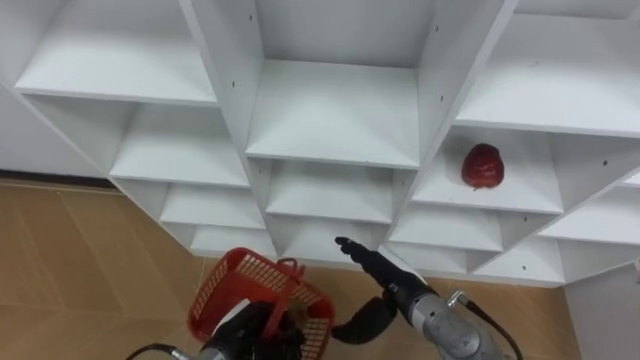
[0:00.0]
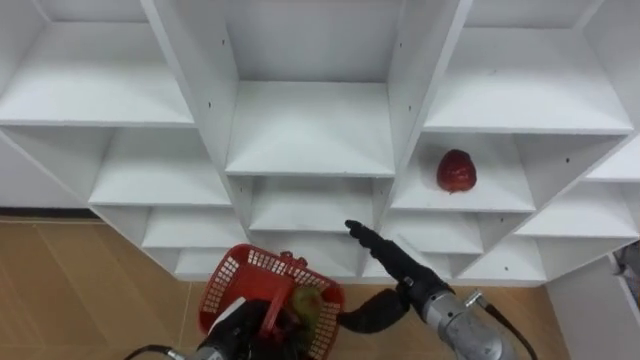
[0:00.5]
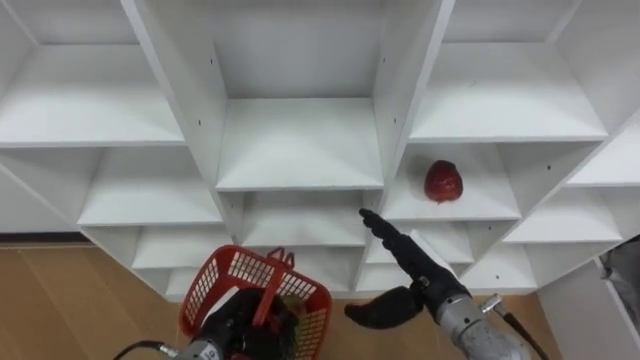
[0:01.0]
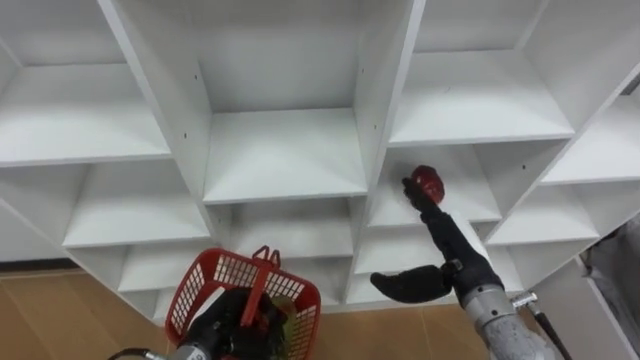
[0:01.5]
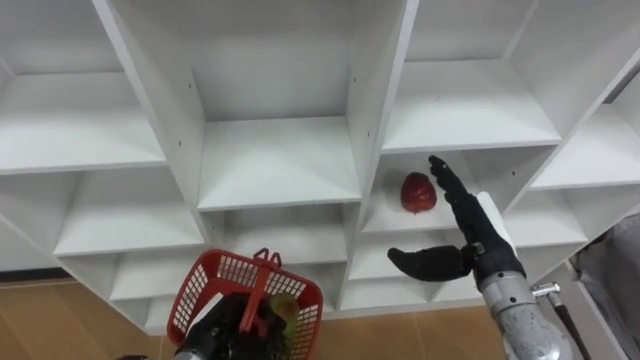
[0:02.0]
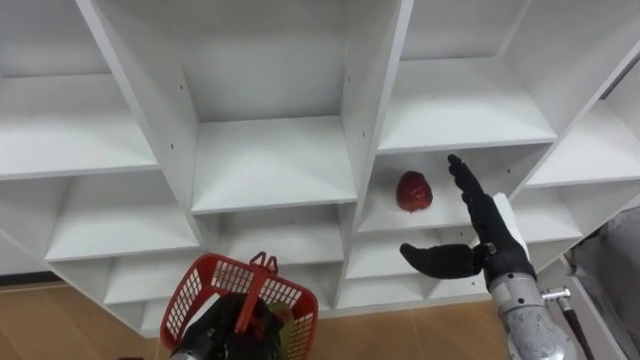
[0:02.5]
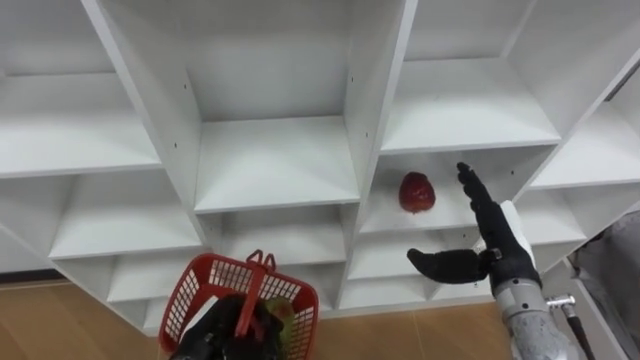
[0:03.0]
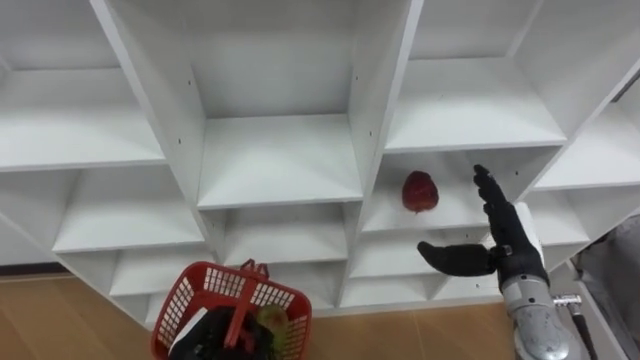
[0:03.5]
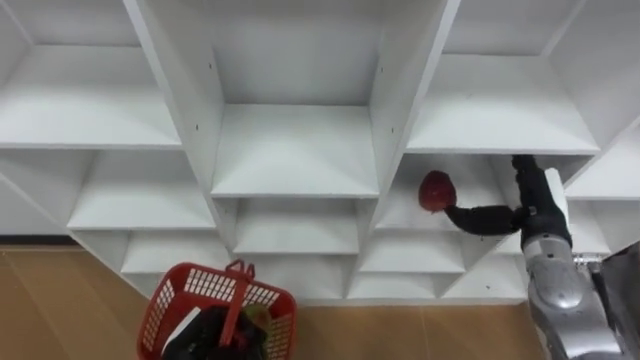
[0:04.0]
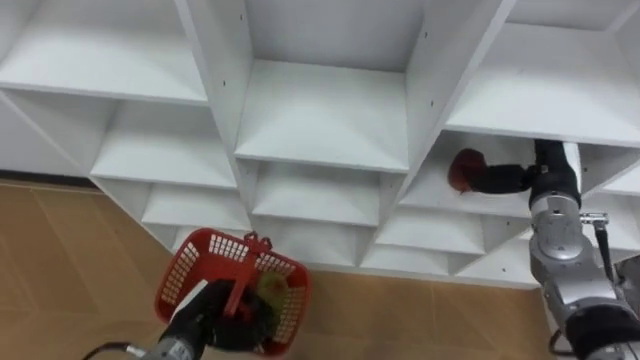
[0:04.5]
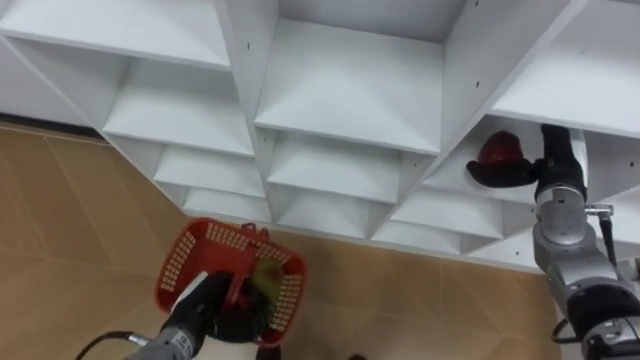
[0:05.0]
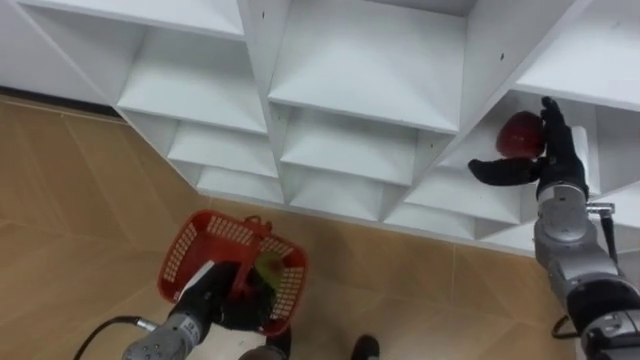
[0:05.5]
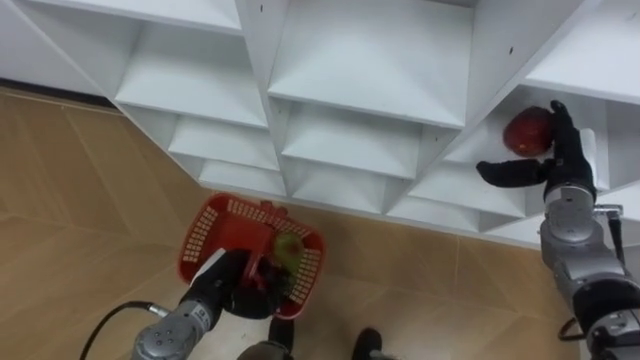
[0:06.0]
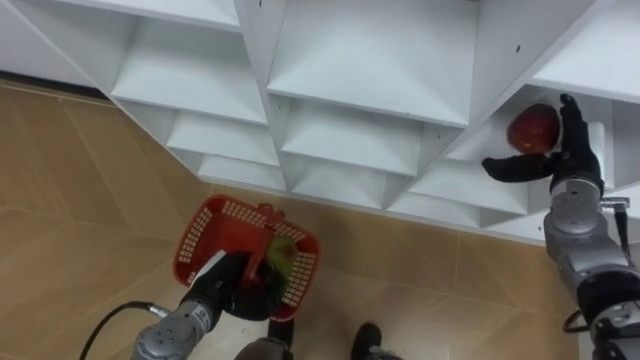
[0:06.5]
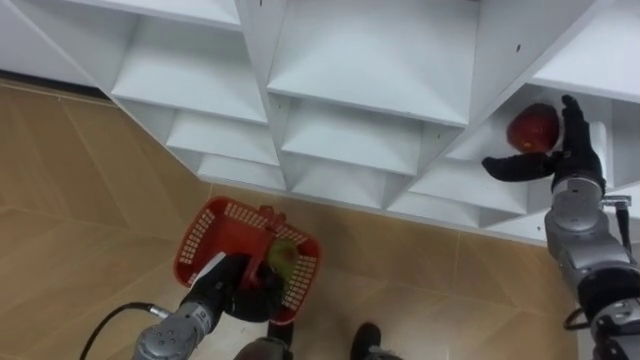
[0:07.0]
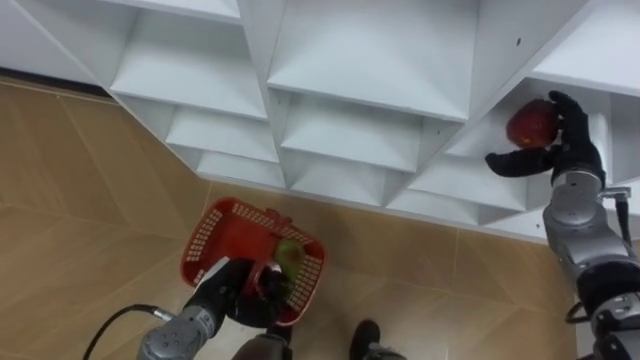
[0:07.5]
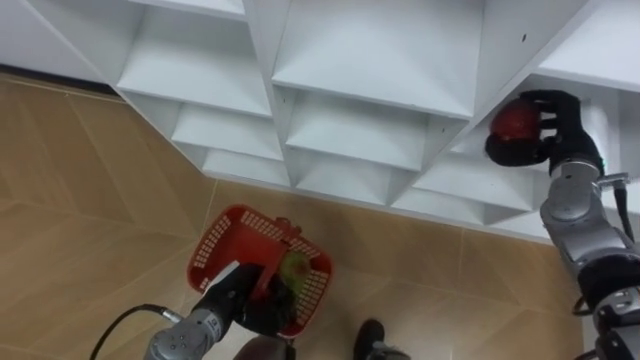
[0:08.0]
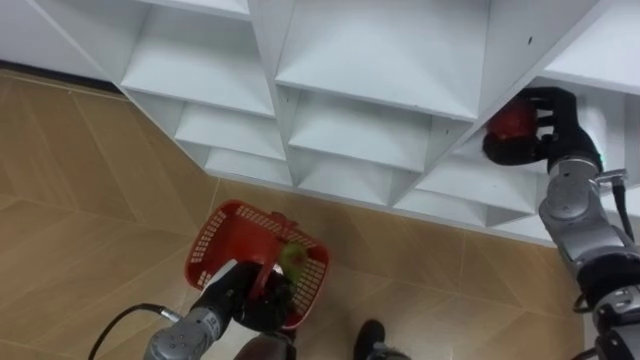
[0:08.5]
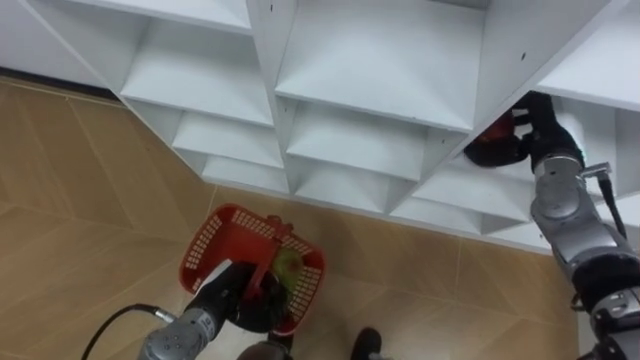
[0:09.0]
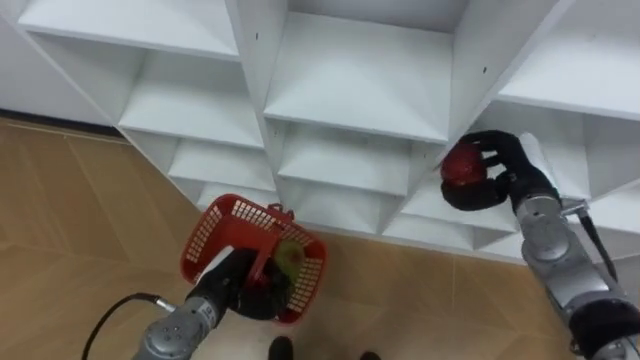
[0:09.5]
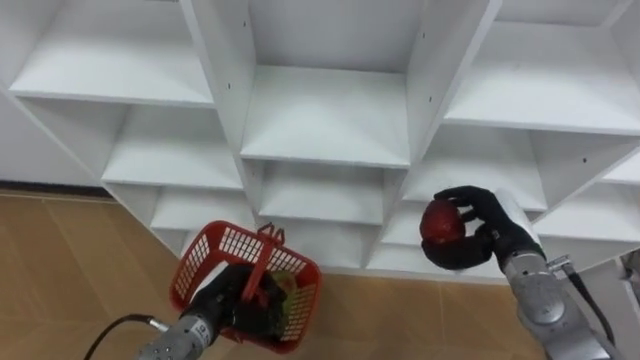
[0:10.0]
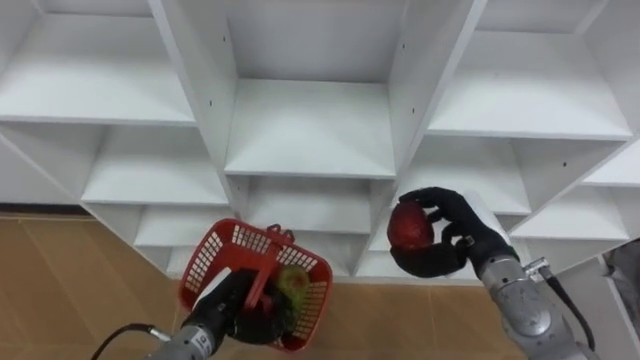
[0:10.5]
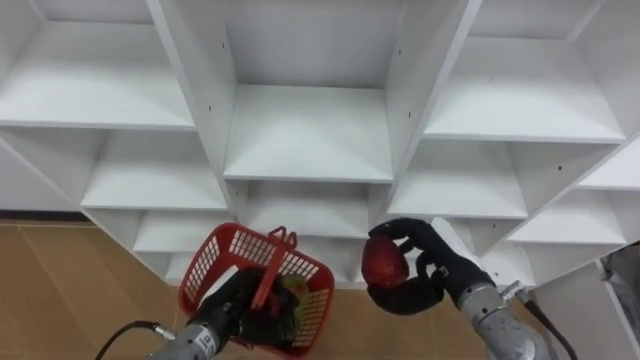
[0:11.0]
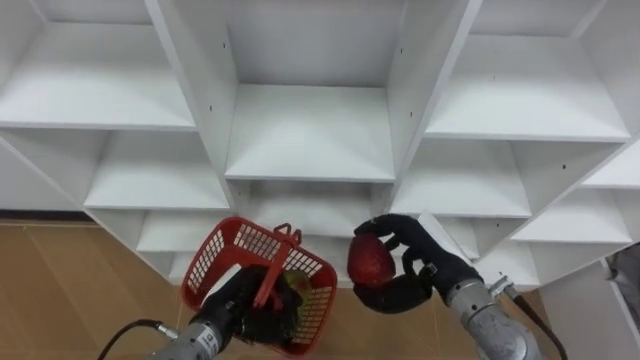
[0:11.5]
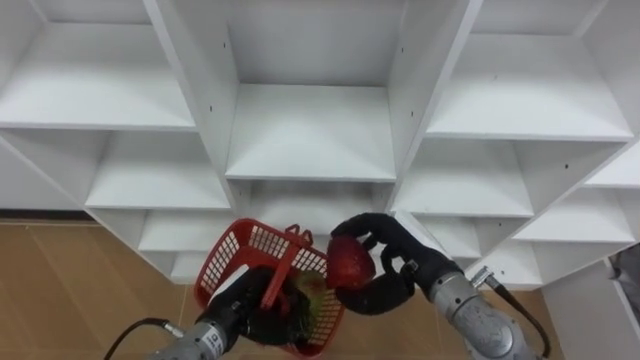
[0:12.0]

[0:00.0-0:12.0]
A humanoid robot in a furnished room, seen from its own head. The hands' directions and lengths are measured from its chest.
Task of the whole recording: Hold the basket and collect the fruits from 3 different cells of the closet into it.
0:00.0 to 0:02.0: The right hand travels to the right and upward by approximately 15 cm.
0:02.0 to 0:04.0: The right hand shifts about 10 cm to the right.
0:04.0 to 0:06.0: The hands both shift forward by about 5 cm.
0:06.0 to 0:08.0: The right hand closes its fingers.
0:08.0 to 0:10.0: The right hand travels downward, backward and to the left by some 15 cm.
0:10.0 to 0:12.0: The right hand moves to the left, roughly 10 cm.

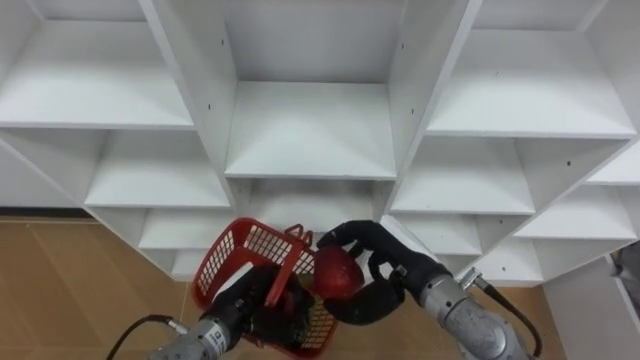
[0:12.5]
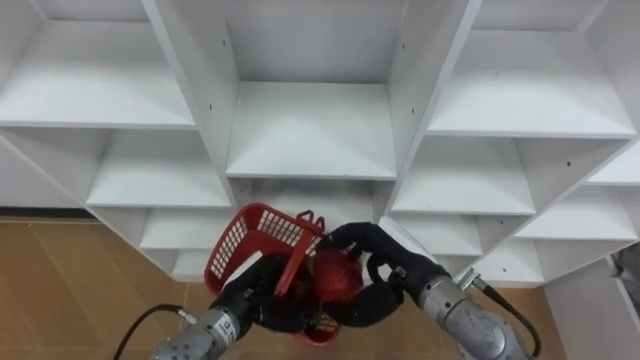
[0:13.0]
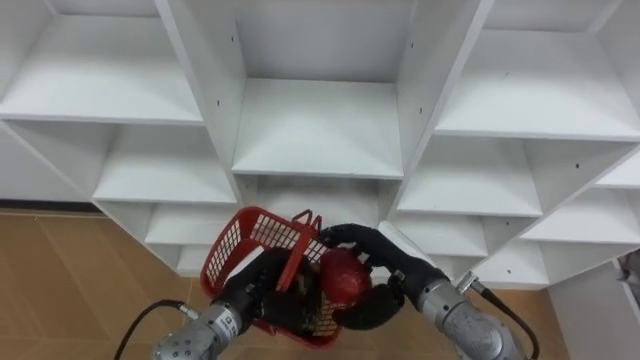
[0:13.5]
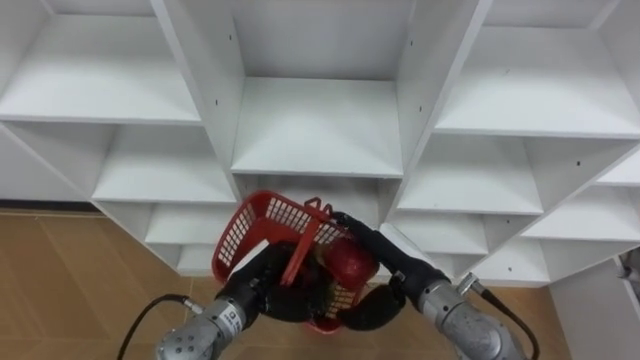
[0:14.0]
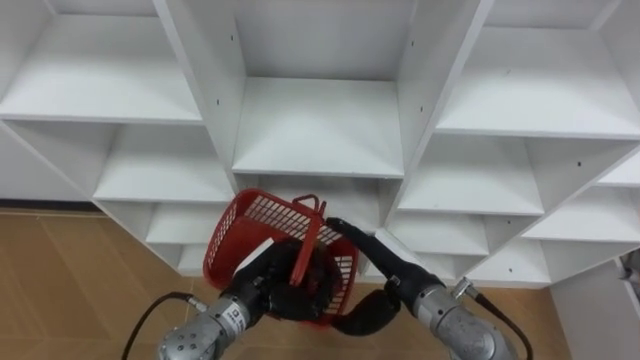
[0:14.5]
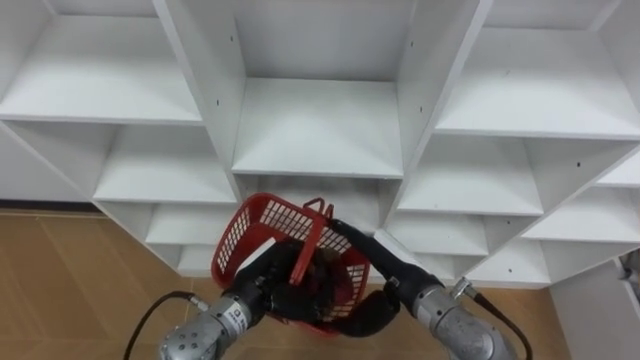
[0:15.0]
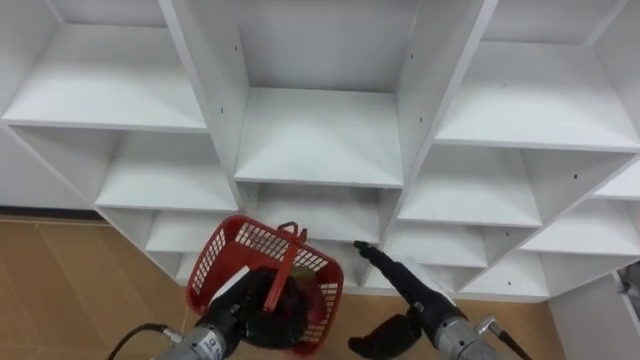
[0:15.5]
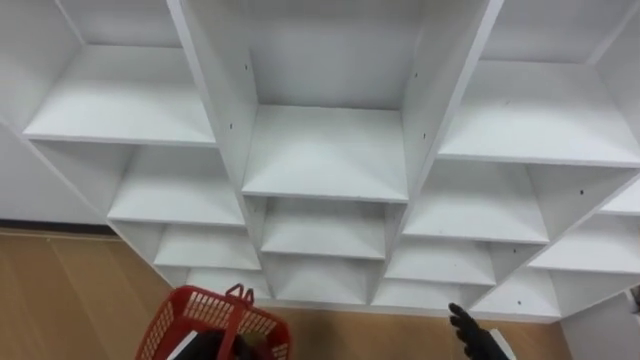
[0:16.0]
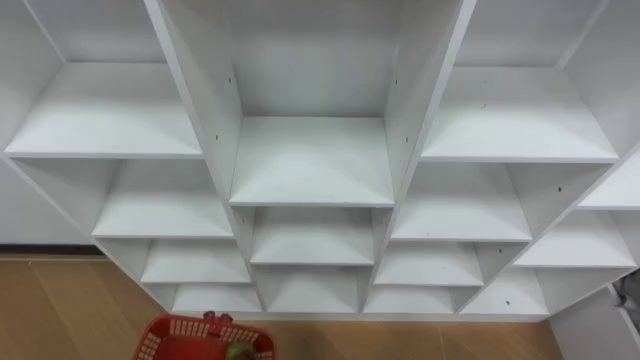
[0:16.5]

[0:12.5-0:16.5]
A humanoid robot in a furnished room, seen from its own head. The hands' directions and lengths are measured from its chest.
Task of the whole recording: Hold the basket and collect the fruits from 3 different cells of the closet into it.
0:12.5 to 0:14.5: The left hand ends up approximately 5 cm from where it was; the right hand opens up.

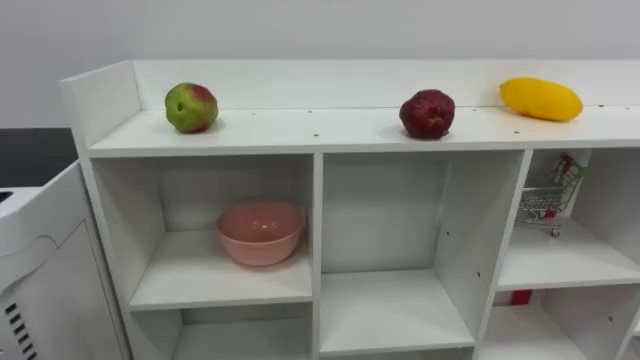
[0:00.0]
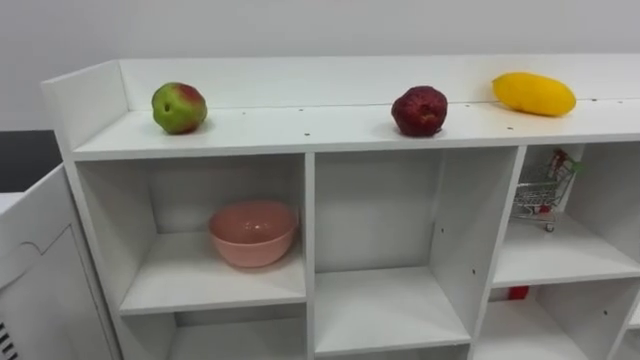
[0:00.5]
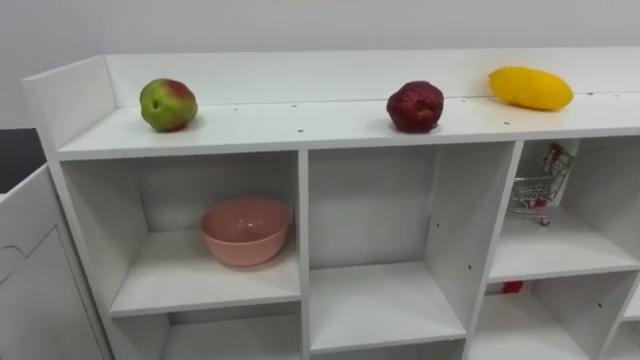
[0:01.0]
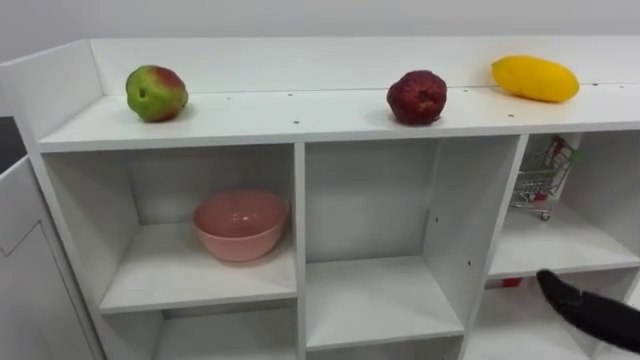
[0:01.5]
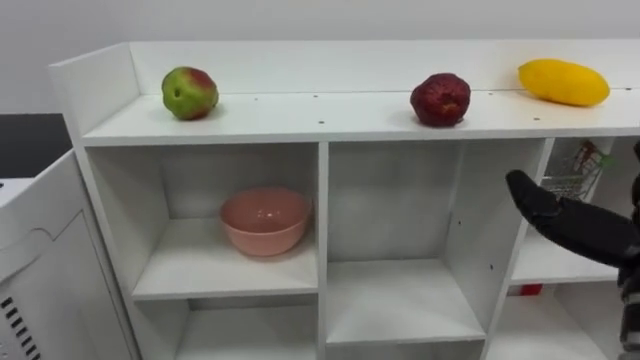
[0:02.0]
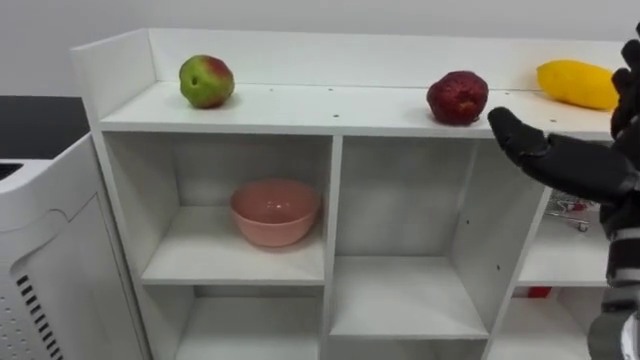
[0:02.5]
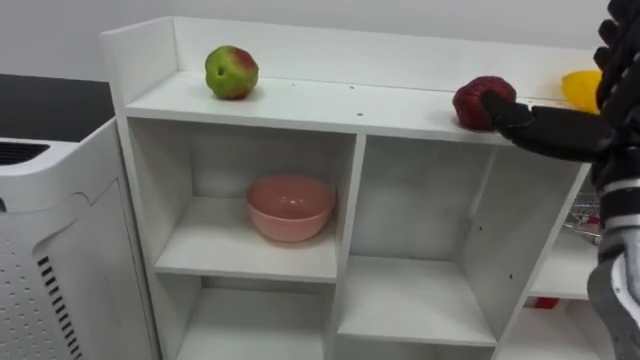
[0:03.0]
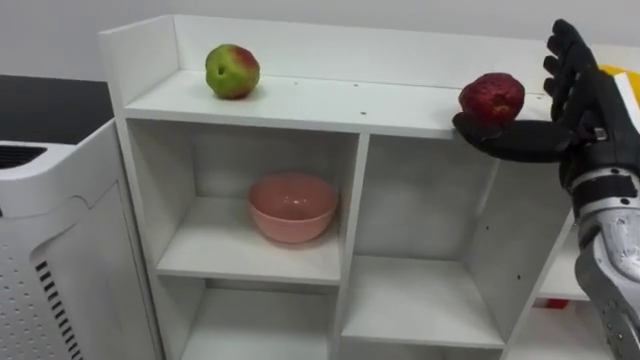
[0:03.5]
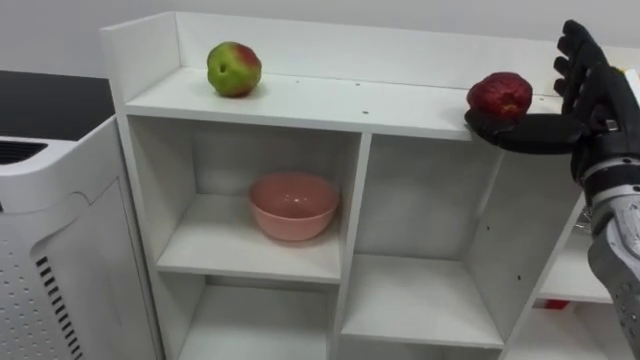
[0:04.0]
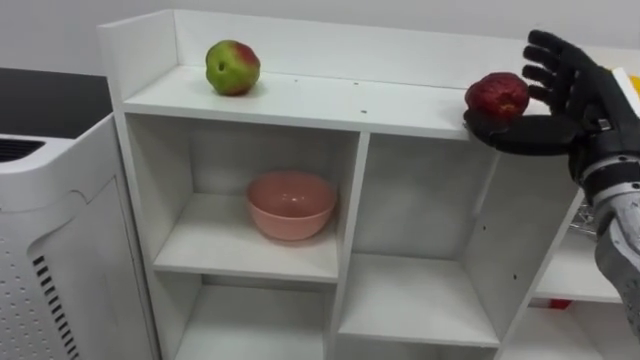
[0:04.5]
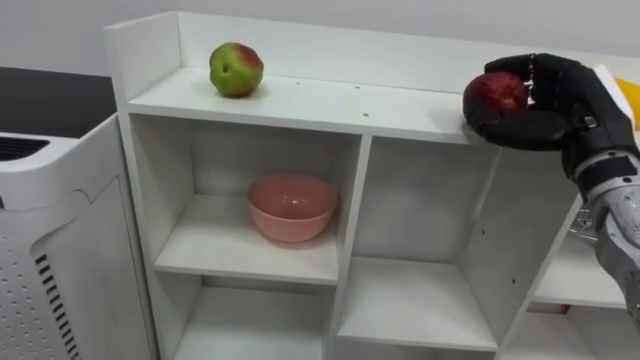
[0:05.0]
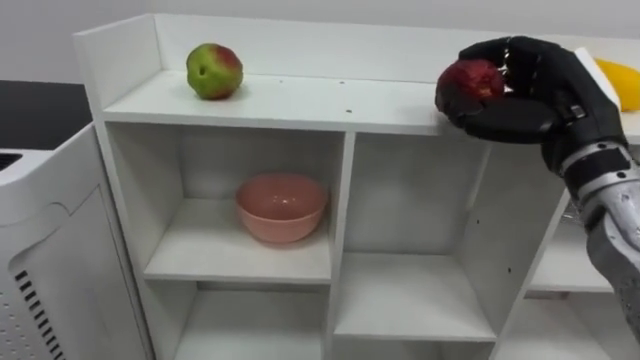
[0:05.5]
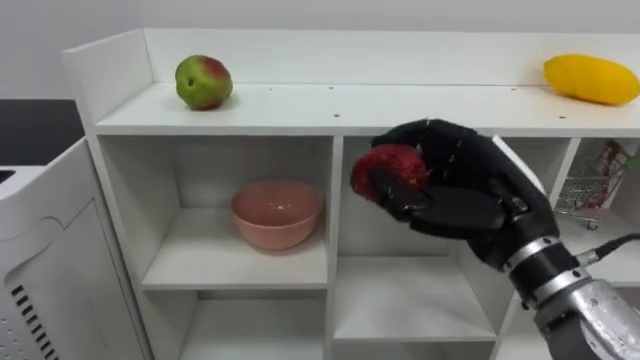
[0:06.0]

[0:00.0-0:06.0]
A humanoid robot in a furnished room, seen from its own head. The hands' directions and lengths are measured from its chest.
Task of the whole recording: Put the apple in the cell in the second column from the left and the second row from the top.
0:04.0 to 0:06.0: The right hand travels to the left and backward by roughly 10 cm, and closes its fingers.
